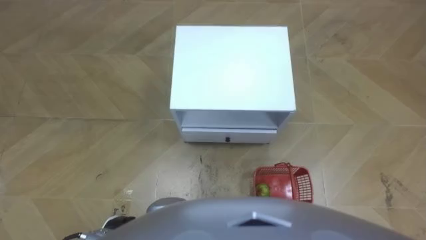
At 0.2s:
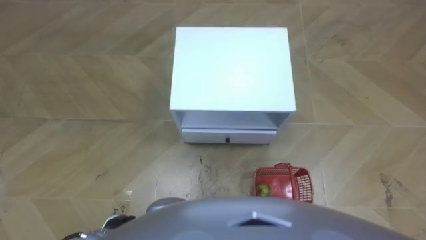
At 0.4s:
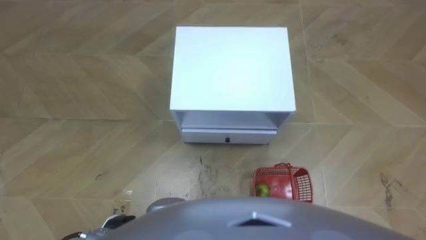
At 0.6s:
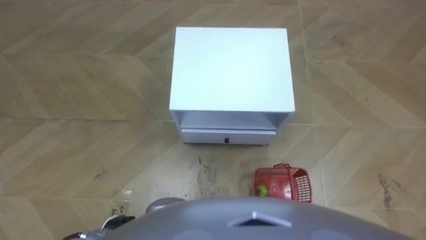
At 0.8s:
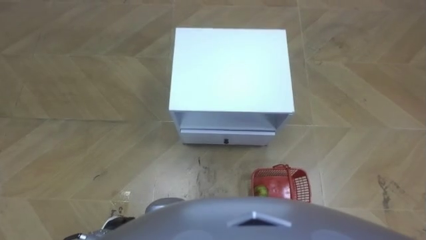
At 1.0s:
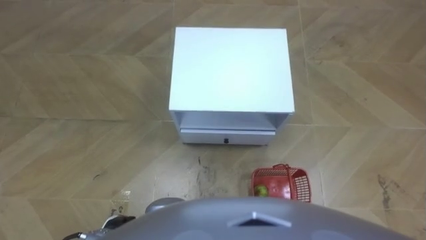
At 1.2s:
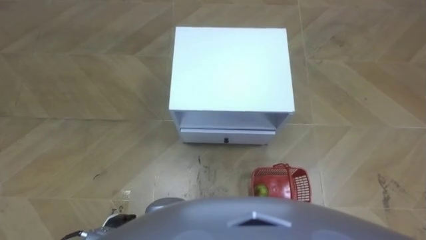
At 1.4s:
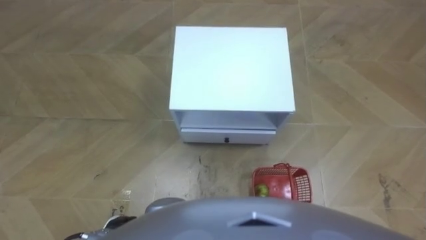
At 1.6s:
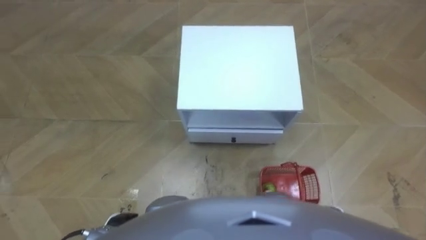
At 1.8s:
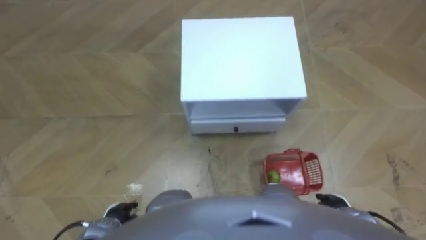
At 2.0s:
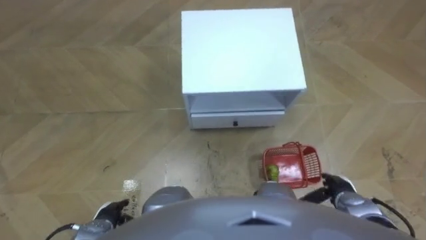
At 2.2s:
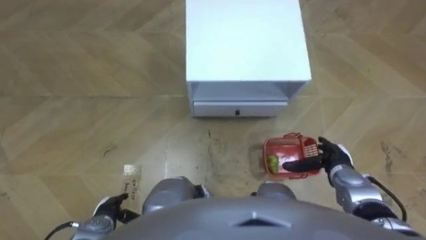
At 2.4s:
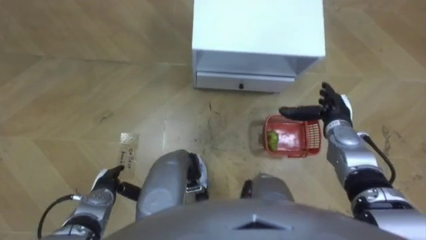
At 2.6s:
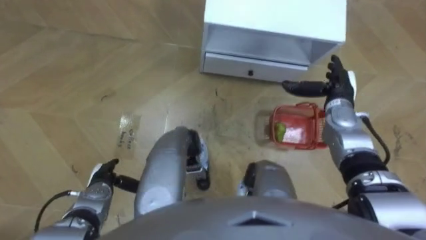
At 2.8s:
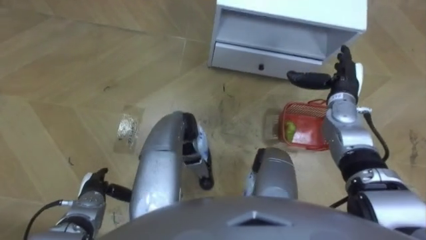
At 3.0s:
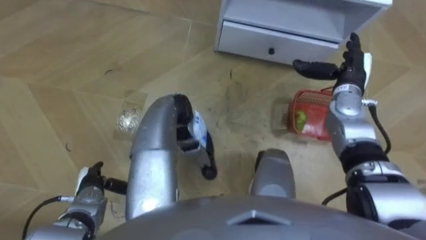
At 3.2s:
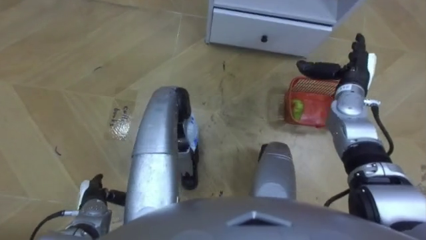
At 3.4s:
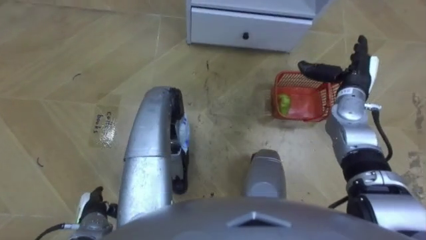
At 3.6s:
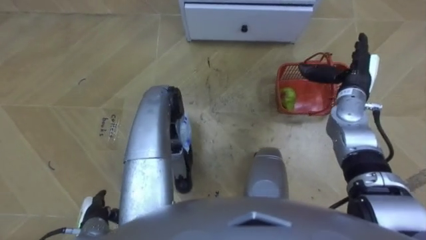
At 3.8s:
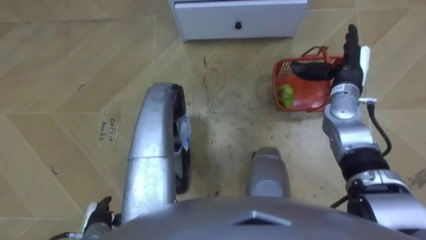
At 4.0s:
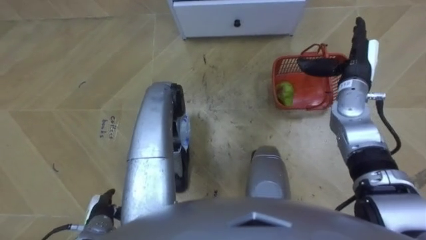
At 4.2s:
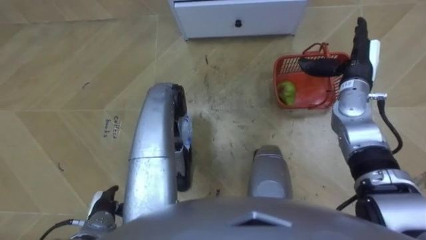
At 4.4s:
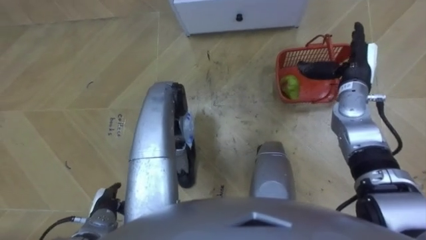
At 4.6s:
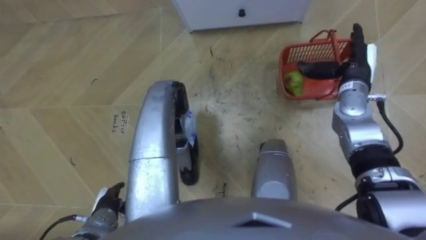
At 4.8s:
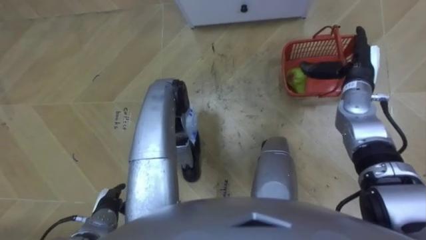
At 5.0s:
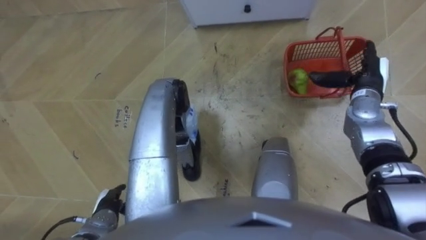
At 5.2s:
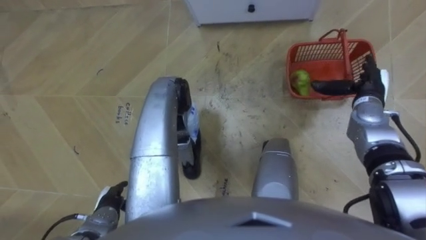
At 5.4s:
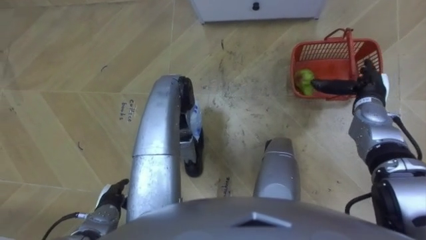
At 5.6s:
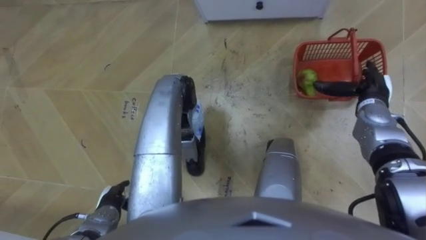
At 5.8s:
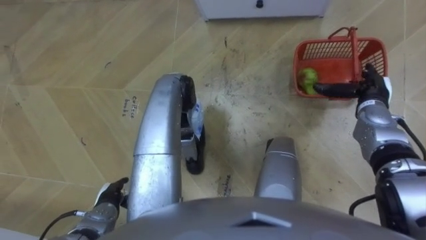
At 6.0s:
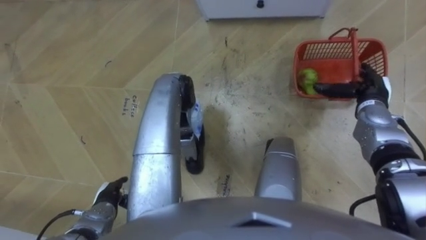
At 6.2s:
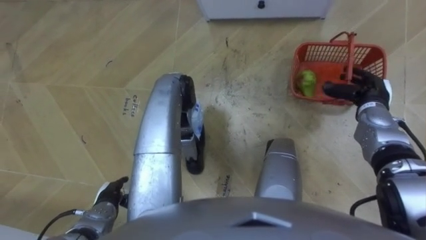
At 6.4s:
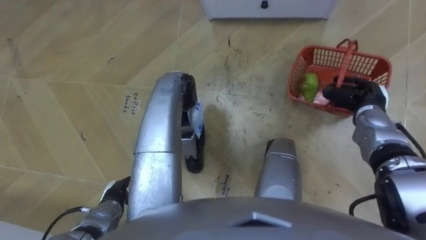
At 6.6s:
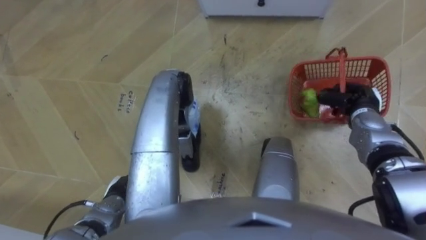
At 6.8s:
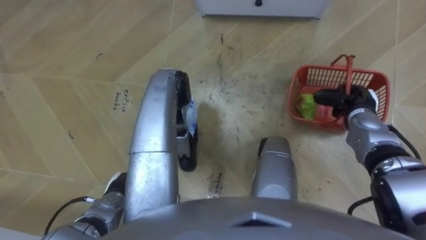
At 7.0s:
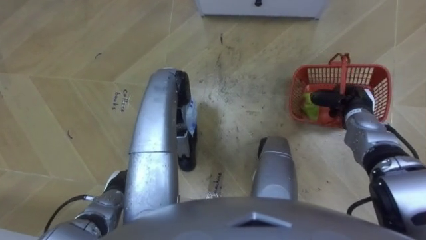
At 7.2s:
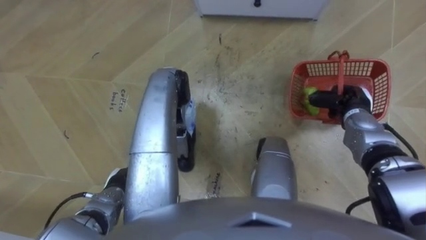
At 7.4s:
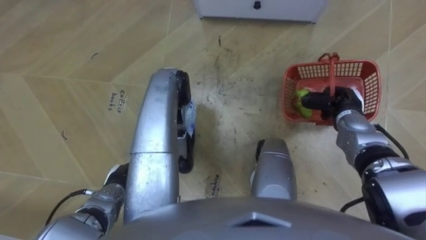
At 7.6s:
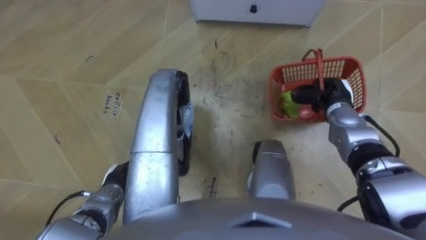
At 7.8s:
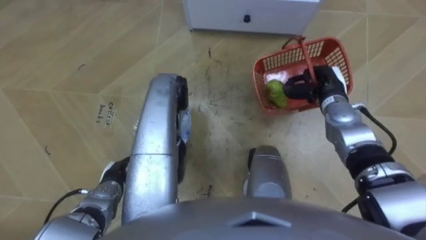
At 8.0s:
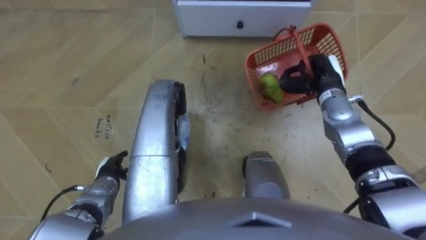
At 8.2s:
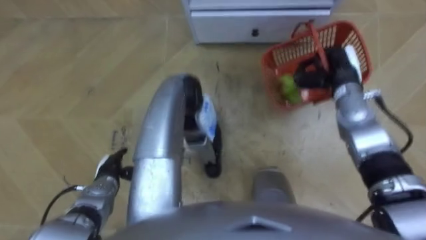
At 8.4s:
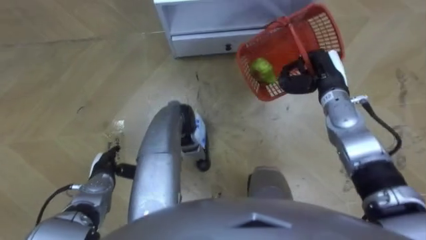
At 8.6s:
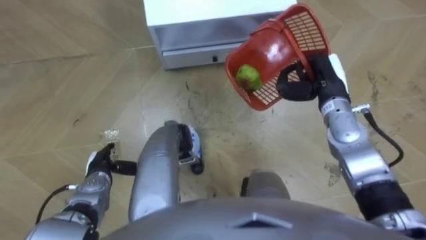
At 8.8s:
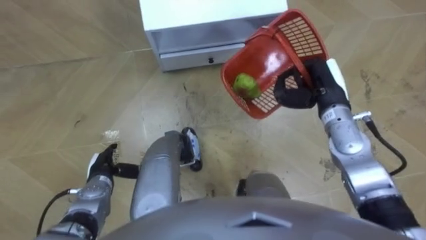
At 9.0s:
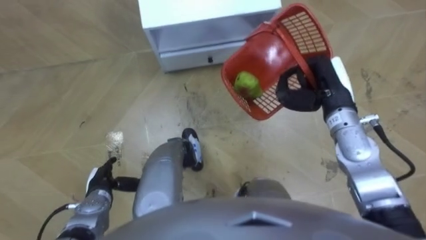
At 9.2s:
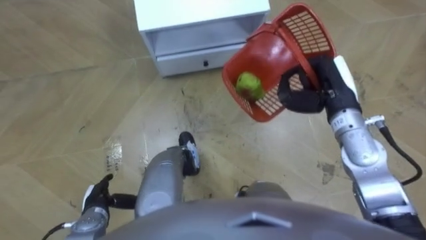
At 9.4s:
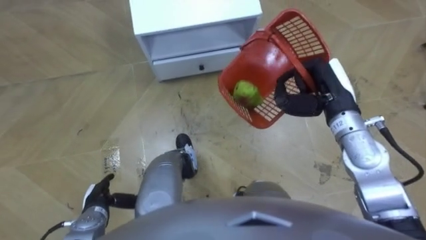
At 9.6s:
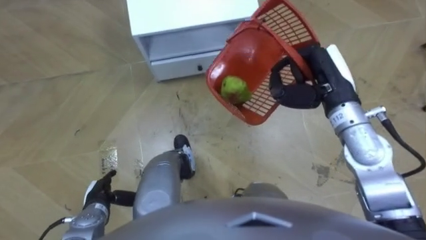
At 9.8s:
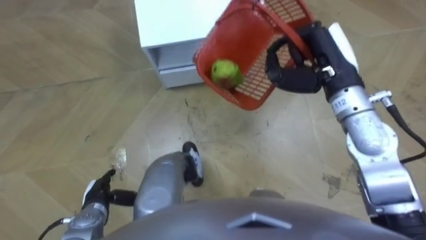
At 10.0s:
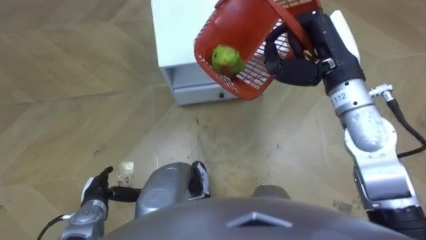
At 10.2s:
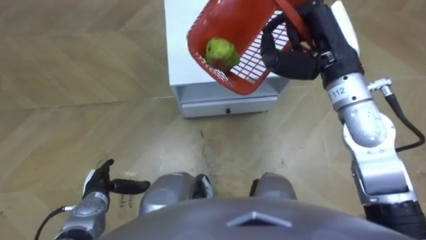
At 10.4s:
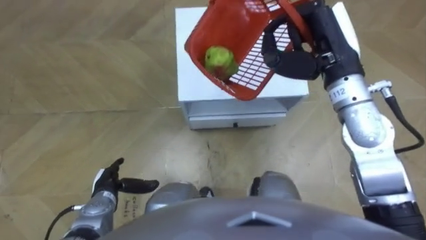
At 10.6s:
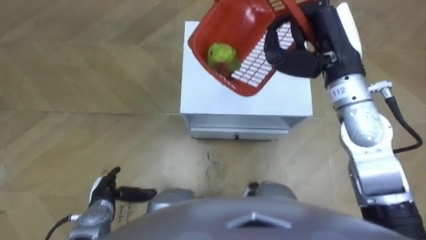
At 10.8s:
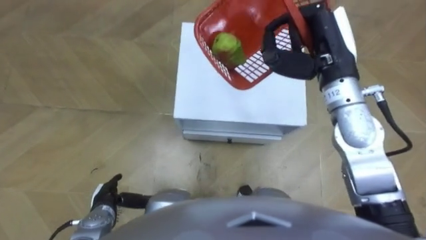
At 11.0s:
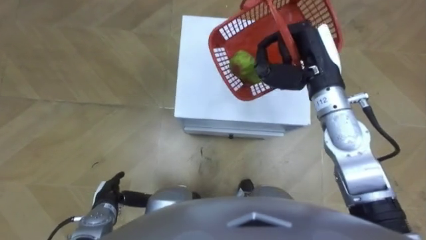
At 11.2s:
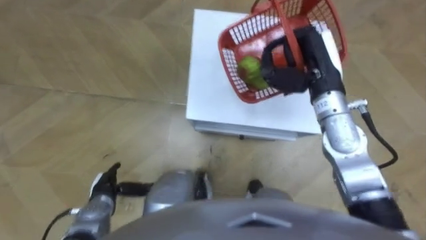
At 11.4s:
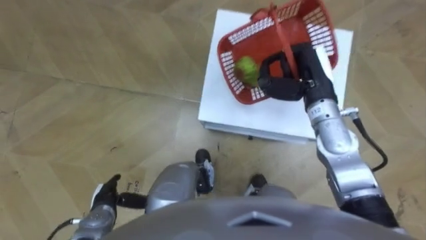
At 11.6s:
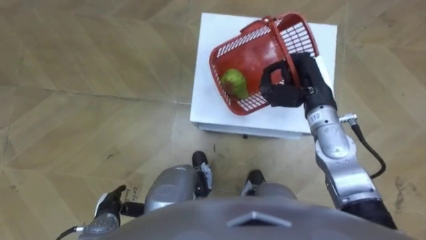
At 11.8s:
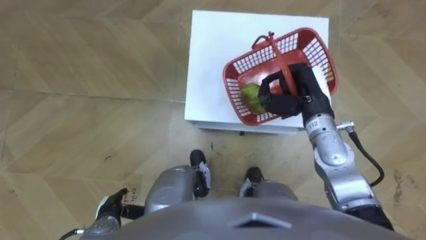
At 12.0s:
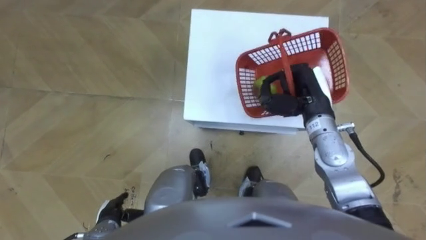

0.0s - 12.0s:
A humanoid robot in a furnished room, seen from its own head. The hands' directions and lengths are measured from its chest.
Task of the whole recording: Pick up the fruit basket from the floor and place it on the cabinet.
1.6s - 3.0s: The right hand goes about 35 cm forward and upward, while the left hand moves forward and to the left, roughly 10 cm.
3.0s - 4.4s: The left hand ends up some 5 cm from where it was.
4.4s - 6.0s: The right hand moves downward, approximately 5 cm.
6.0s - 7.6s: The right hand is displaced to the left by some 5 cm, and closes its fingers.
7.6s - 9.0s: The robot's body swings some 15 degrees to its right. The right hand travels upward by approximately 10 cm.
9.0s - 10.4s: The right hand is displaced upward by approximately 10 cm.
10.4s - 12.0s: The left hand shifts roughly 5 cm backward; the right hand is displaced downward by about 10 cm.

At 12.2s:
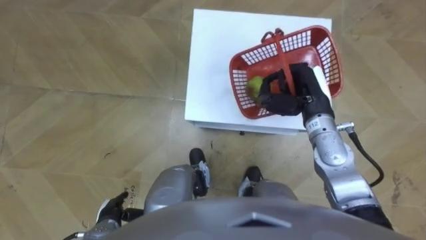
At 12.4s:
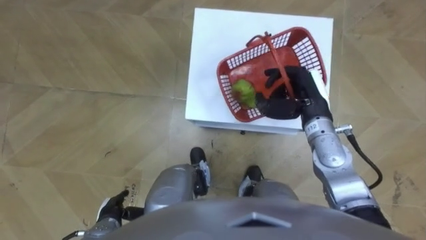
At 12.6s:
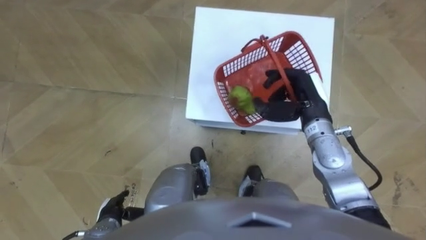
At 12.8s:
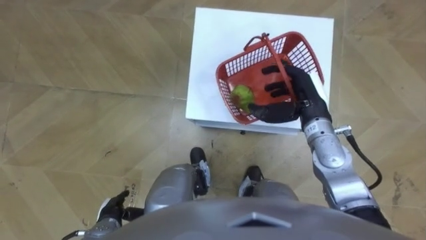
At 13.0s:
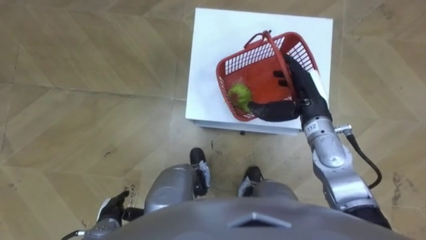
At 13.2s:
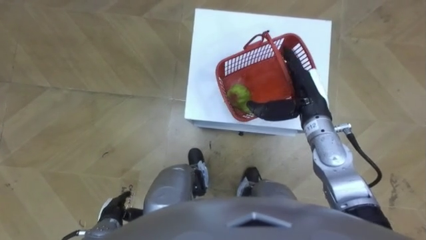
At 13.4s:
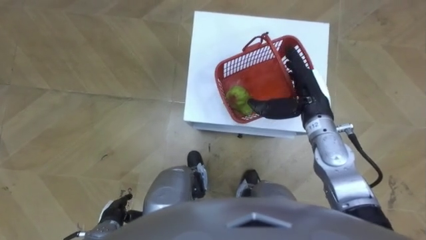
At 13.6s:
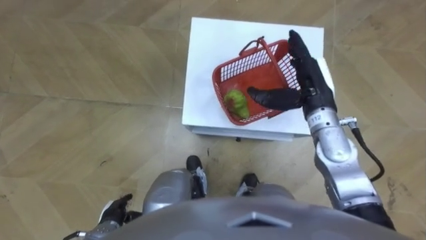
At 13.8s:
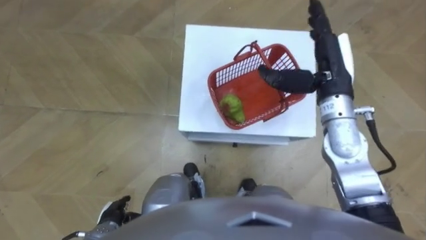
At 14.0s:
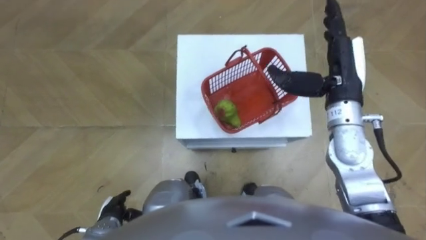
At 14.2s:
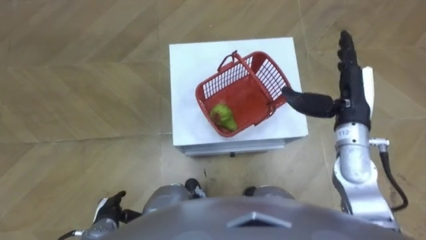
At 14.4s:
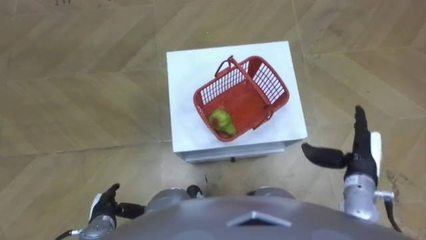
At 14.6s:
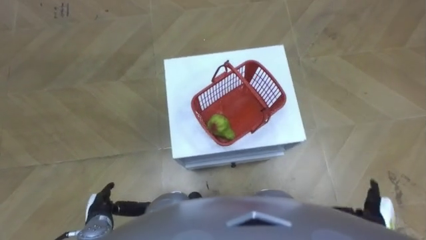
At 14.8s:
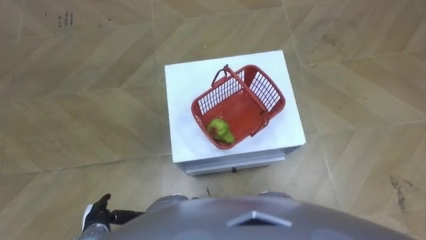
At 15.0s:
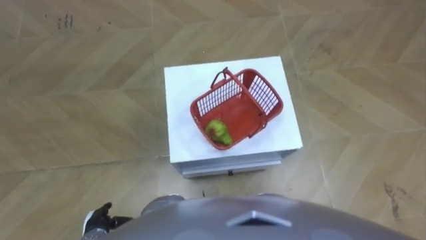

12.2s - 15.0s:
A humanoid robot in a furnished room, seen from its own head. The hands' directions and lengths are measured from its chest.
Task of the whole recording: Pick up the fruit basket from the floor and place it on the cabinet.
12.2s - 13.6s: The right hand opens up.

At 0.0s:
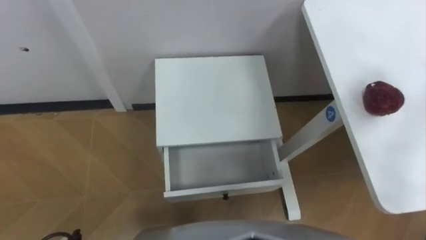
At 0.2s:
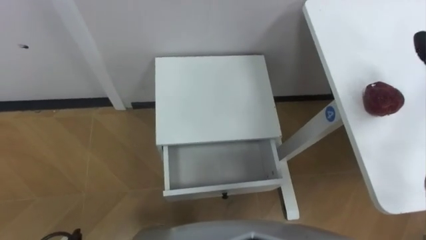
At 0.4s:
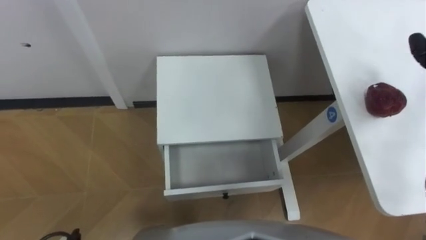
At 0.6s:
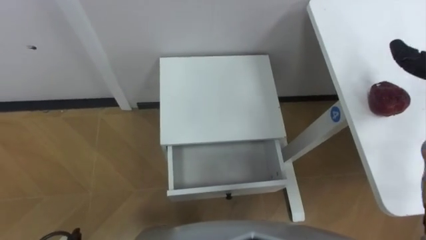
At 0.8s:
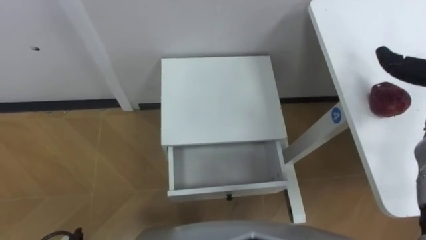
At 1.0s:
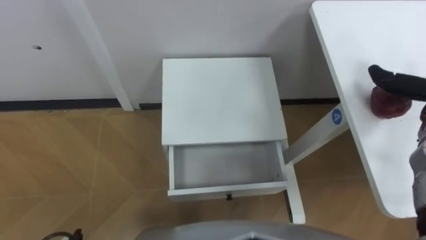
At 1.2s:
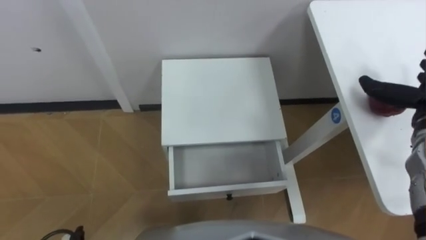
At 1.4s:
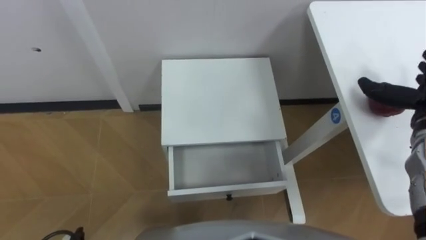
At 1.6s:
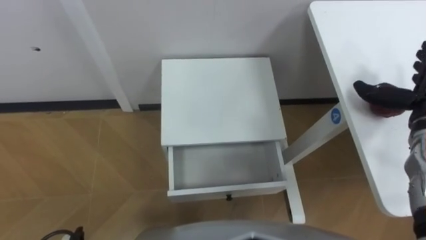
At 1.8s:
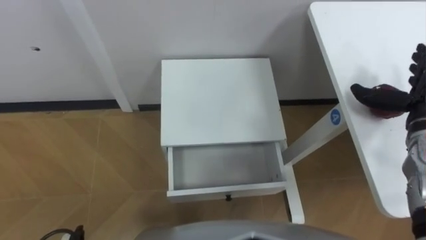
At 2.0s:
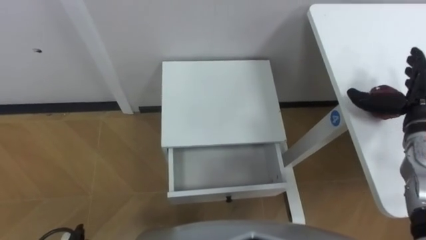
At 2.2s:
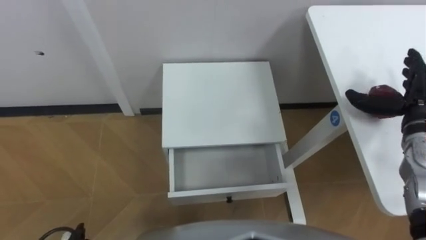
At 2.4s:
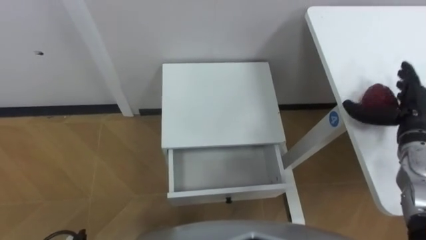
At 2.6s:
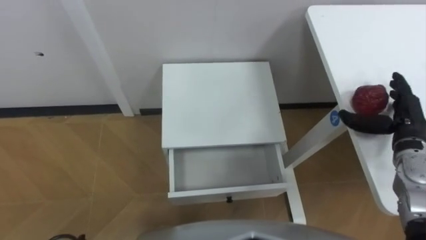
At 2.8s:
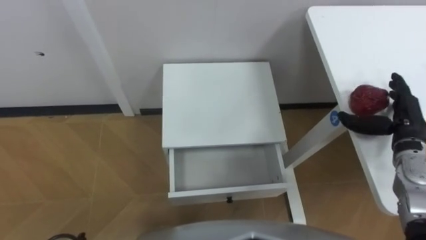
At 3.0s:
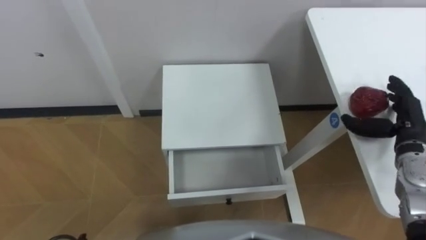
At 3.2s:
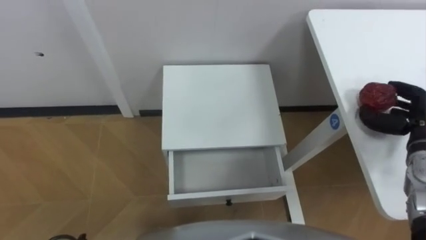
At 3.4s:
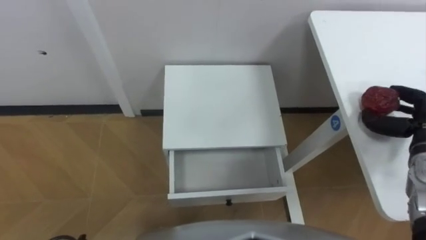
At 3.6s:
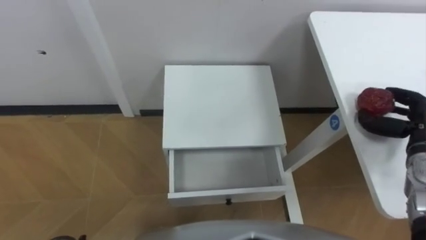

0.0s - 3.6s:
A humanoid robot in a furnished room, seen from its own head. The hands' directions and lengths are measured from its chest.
Task of the whole recording: Pick up the apple from the table, put it in the drawer, and close the drawer with leg.
1.8s - 3.6s: The right hand travels downward by some 5 cm, and closes its fingers.
